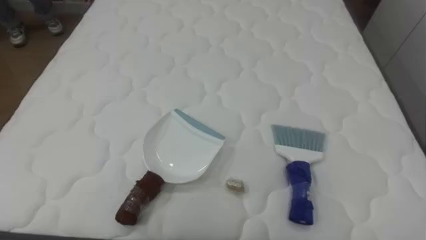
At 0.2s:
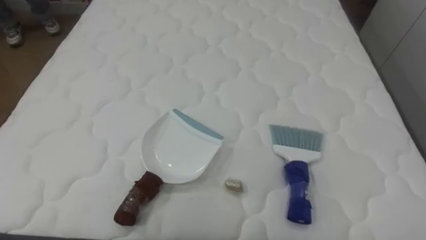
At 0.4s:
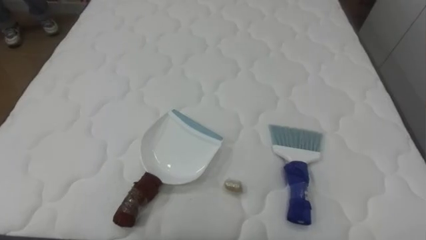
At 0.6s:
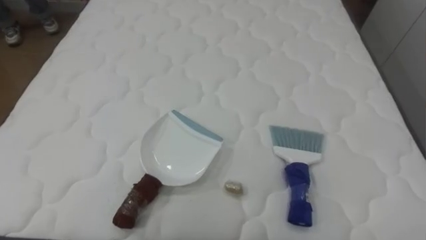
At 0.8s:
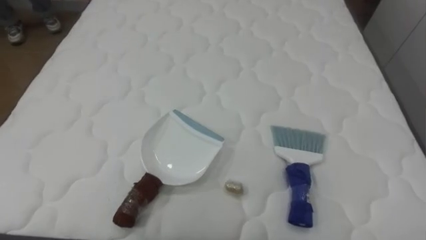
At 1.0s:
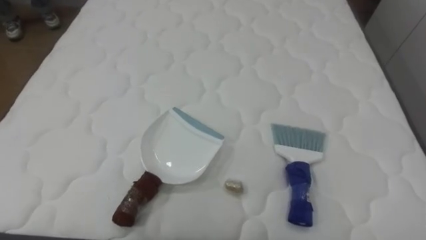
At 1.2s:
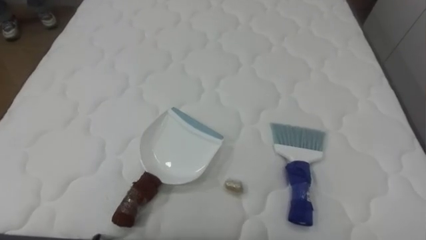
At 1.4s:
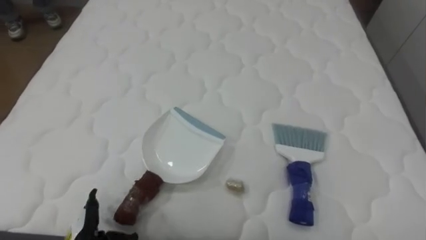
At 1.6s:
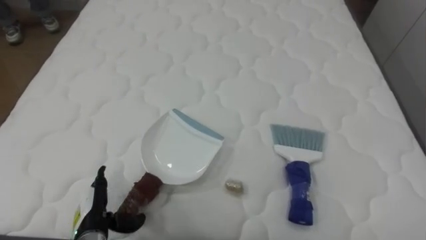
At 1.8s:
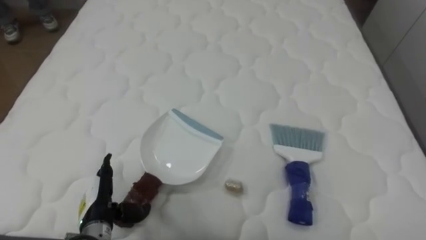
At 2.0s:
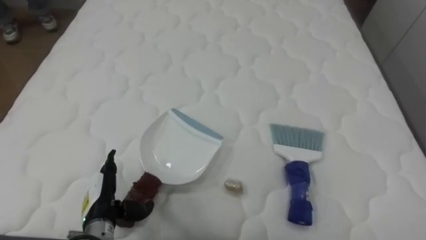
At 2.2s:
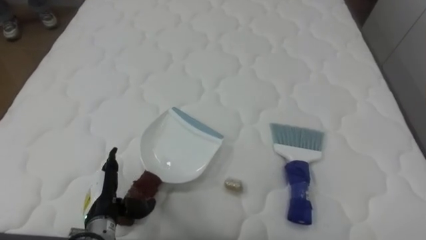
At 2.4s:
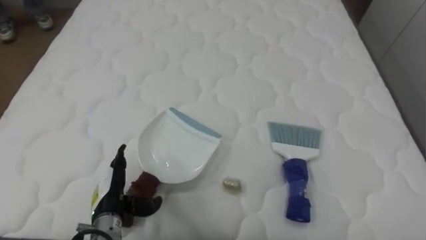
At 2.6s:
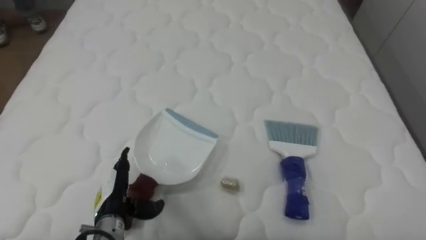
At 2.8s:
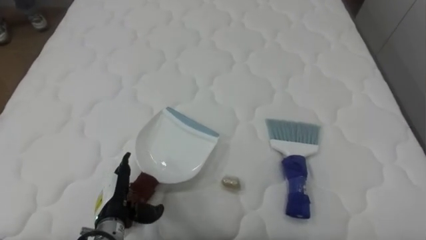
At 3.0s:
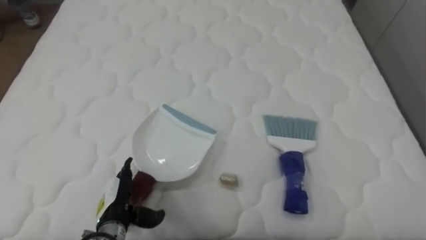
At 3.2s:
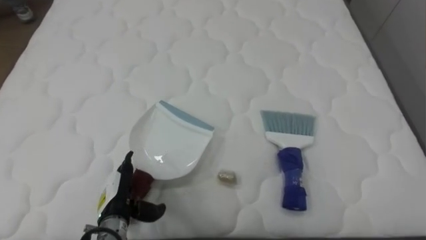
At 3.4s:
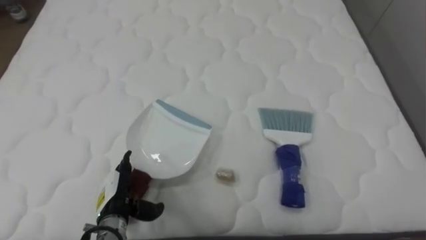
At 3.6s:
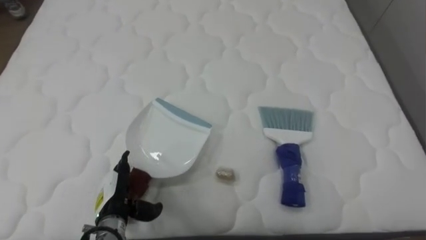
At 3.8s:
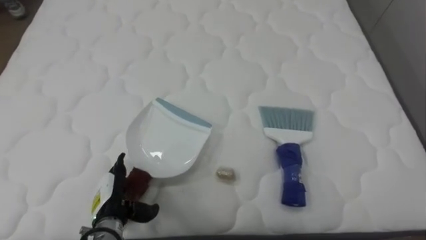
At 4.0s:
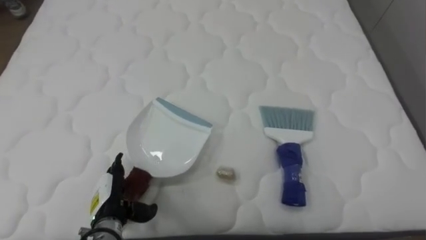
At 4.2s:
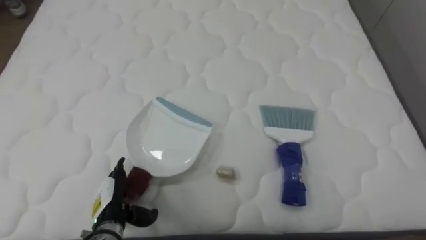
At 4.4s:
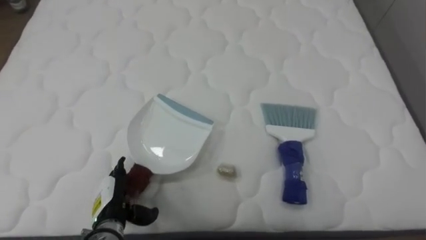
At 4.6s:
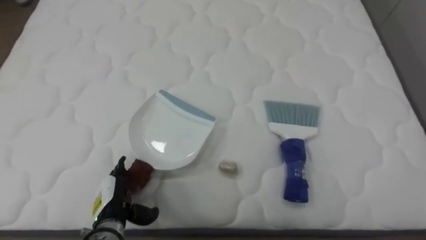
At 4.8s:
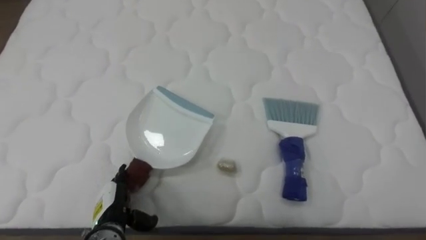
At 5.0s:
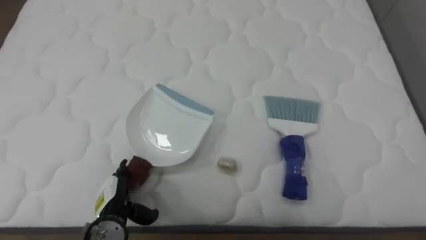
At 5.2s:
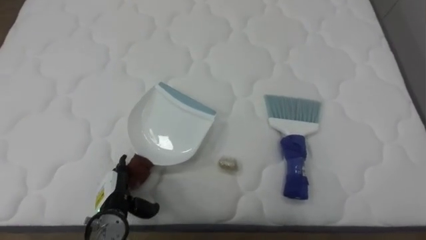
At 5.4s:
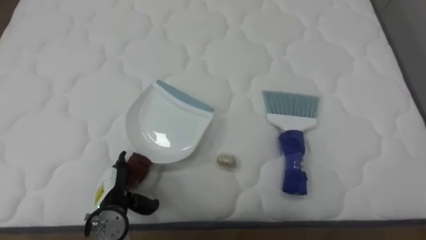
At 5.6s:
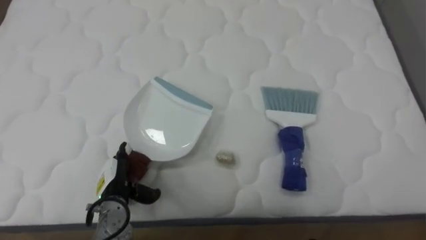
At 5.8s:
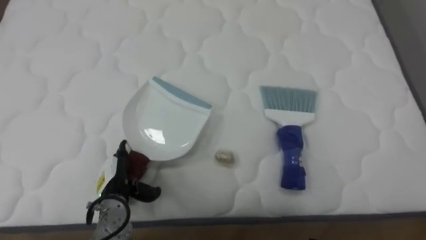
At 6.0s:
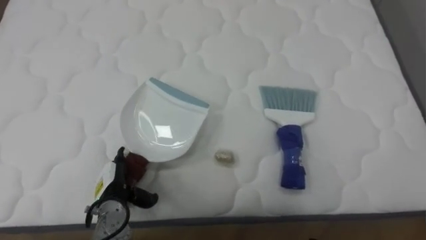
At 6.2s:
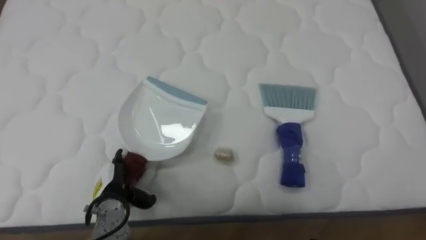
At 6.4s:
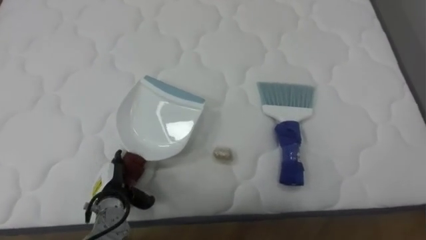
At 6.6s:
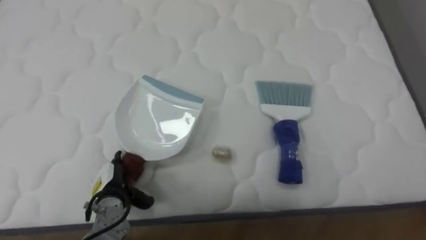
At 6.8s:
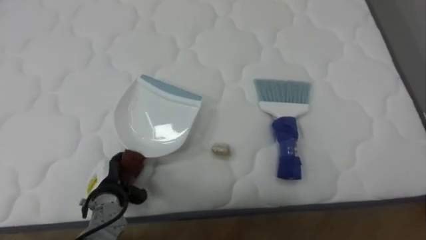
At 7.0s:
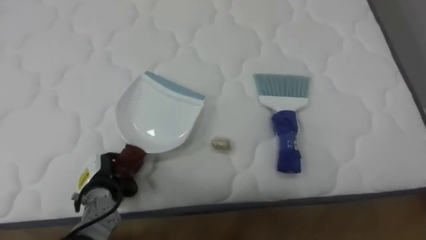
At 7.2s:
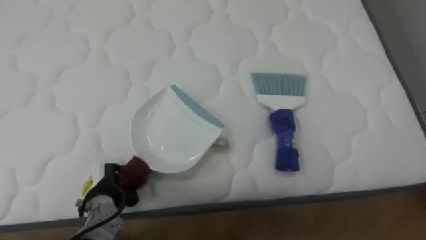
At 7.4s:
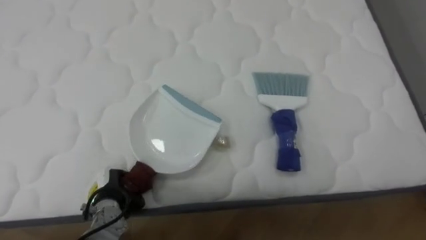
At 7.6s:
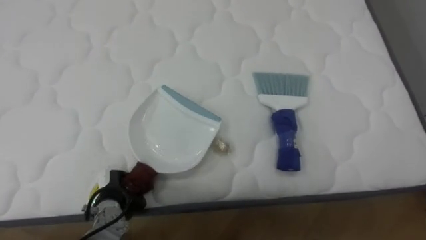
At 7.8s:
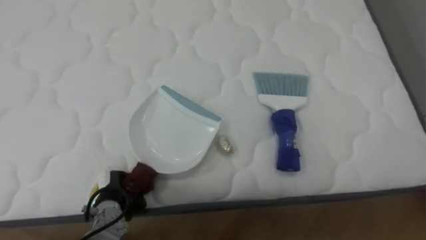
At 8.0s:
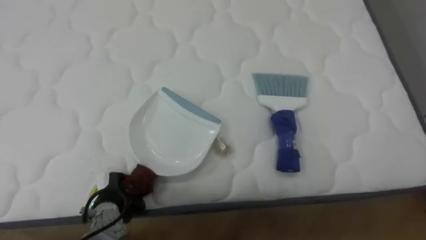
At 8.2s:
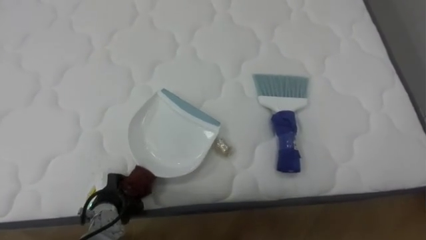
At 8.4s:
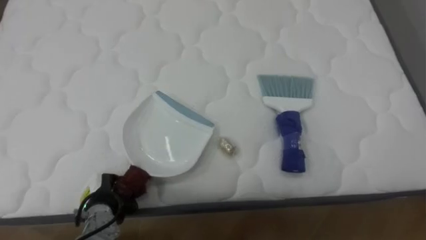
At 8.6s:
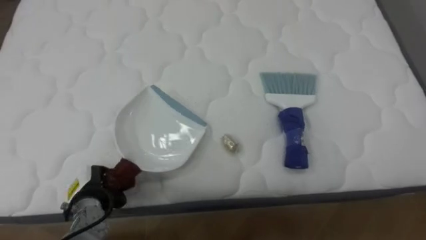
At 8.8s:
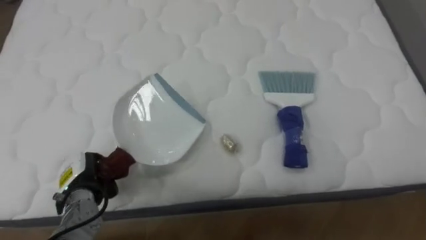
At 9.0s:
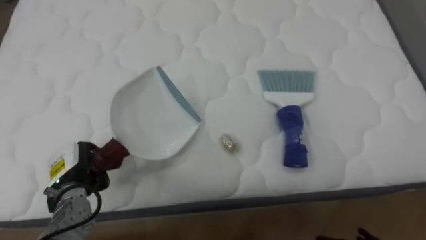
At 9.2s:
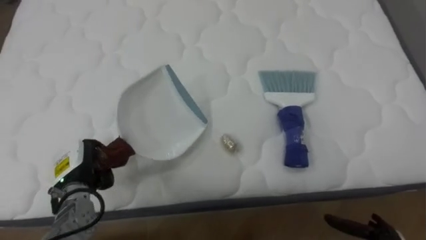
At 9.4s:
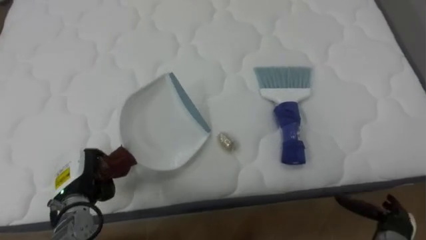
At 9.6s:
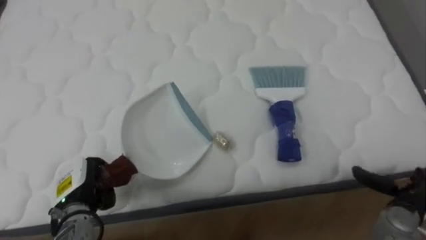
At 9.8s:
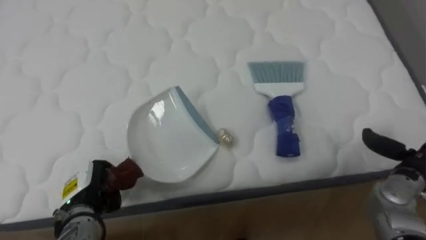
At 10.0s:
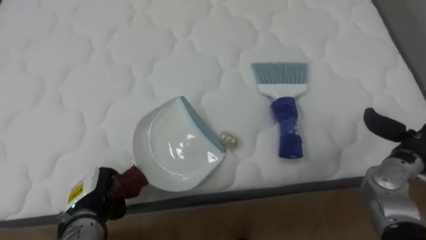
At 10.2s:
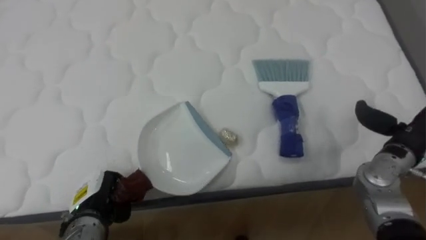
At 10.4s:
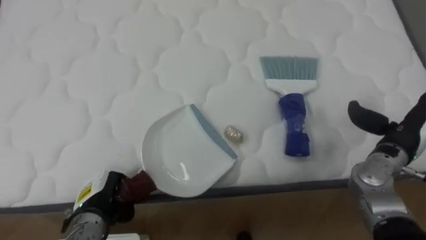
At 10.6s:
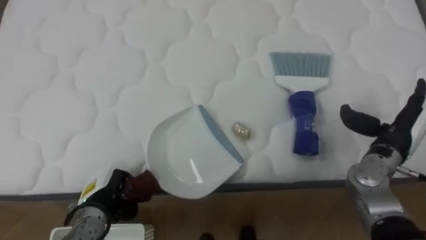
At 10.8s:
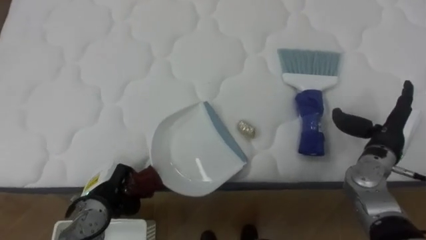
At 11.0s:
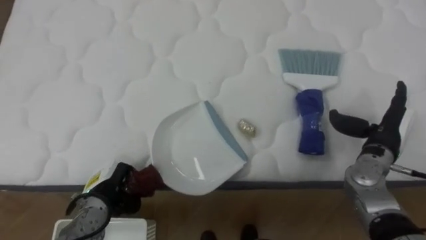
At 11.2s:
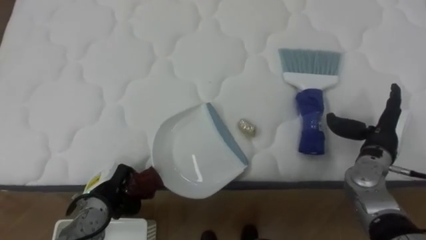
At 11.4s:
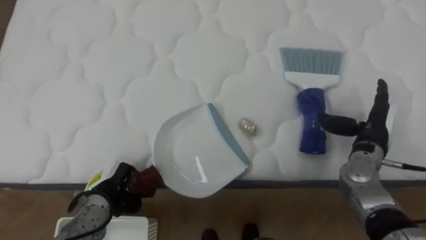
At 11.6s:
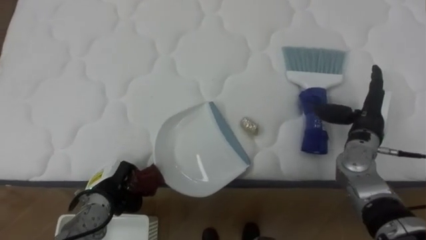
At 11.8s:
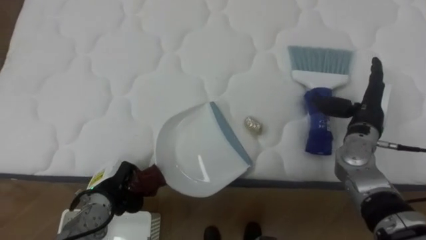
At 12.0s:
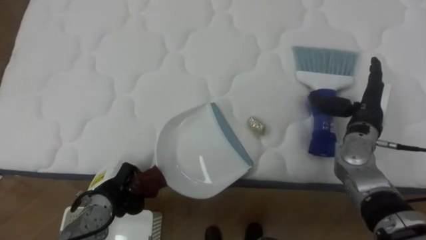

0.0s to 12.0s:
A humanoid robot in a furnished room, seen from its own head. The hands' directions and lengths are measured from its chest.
Task of the whole recording: Pick up the brush on your right and the dustpan on your left. Use the brush to sweep the crumpled paper on the bed into the dustpan, then turn left and empty it into the basket.
6.0s to 7.6s: The left hand closes its fingers.
7.6s to 9.0s: The left hand heads to the left and upward, covering some 10 cm.
9.0s to 10.4s: The left hand moves roughly 5 cm.
10.4s to 12.0s: The right hand heads forward and to the left, covering approximately 10 cm.

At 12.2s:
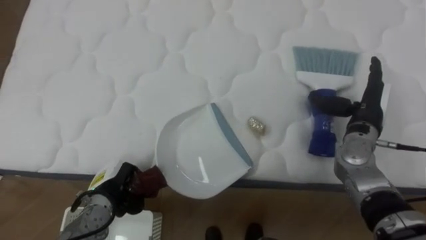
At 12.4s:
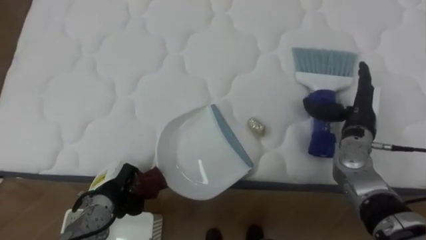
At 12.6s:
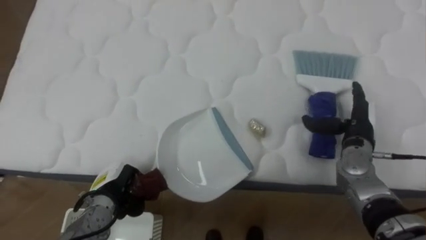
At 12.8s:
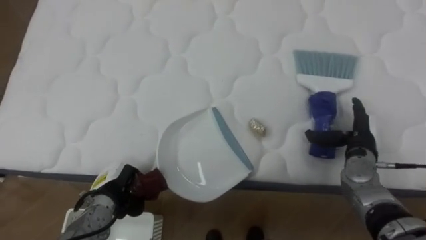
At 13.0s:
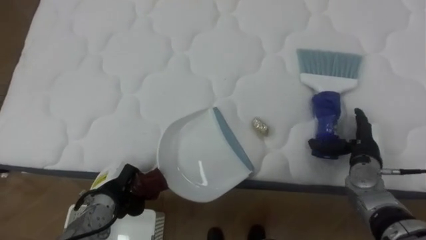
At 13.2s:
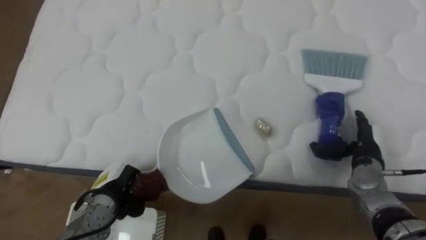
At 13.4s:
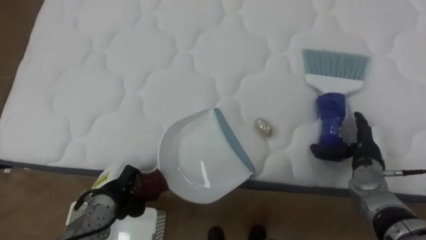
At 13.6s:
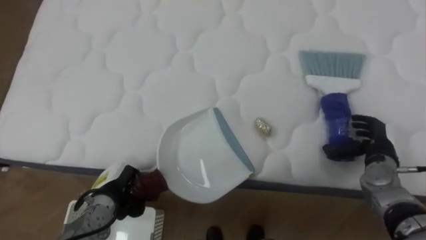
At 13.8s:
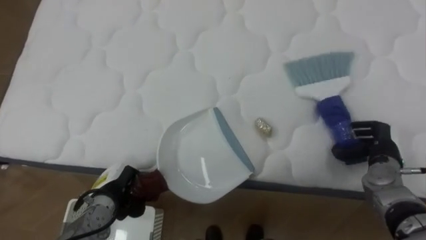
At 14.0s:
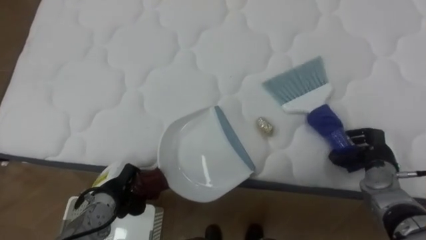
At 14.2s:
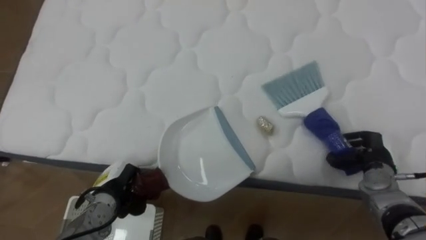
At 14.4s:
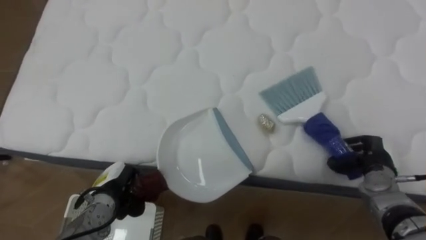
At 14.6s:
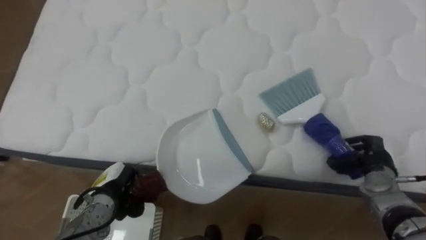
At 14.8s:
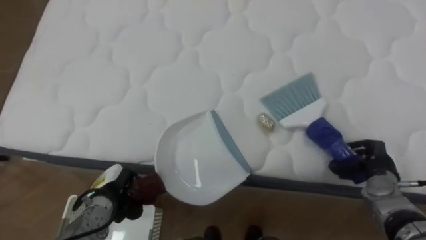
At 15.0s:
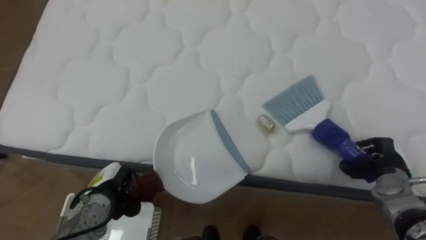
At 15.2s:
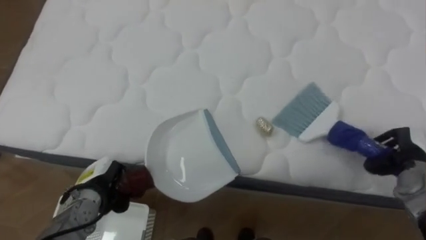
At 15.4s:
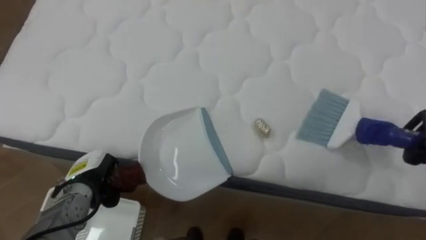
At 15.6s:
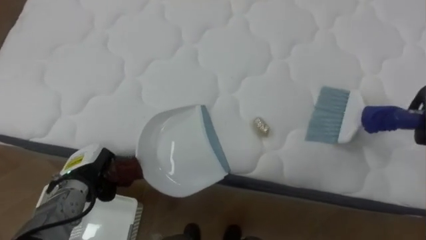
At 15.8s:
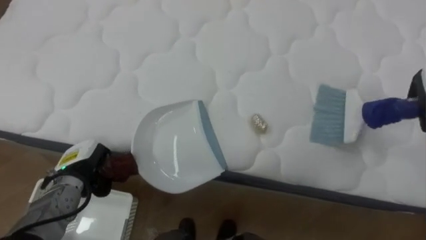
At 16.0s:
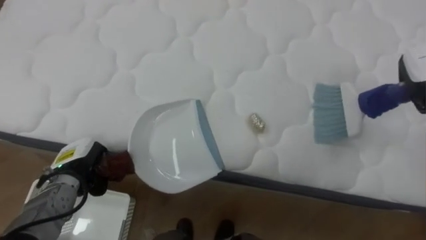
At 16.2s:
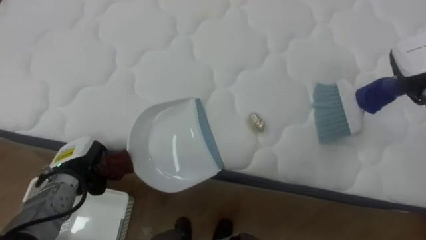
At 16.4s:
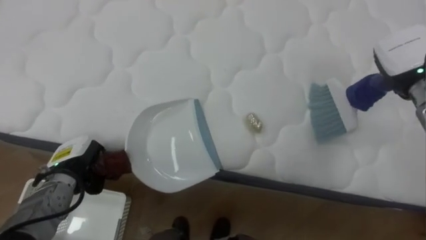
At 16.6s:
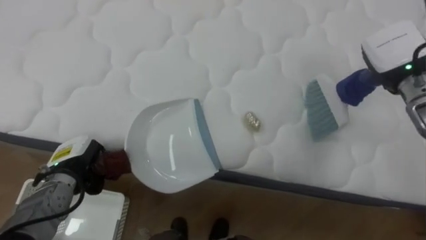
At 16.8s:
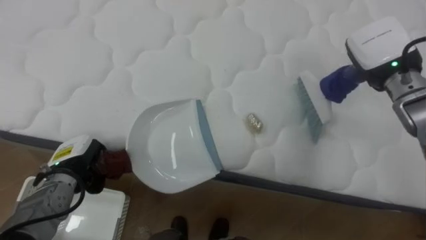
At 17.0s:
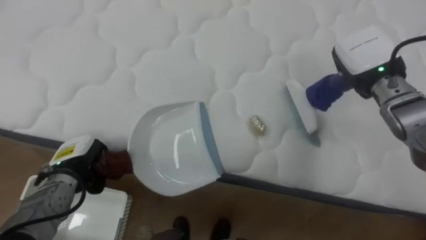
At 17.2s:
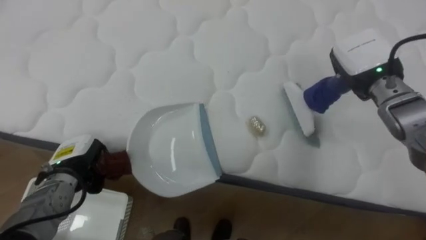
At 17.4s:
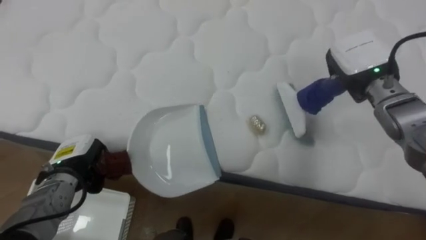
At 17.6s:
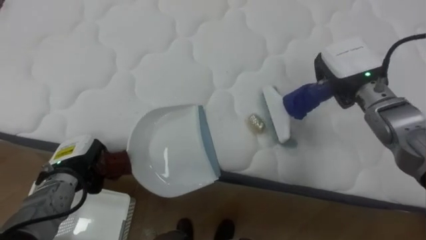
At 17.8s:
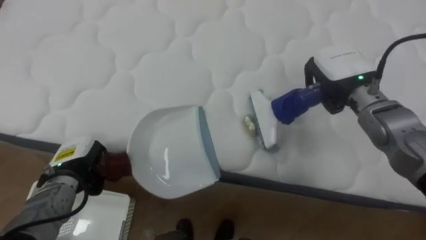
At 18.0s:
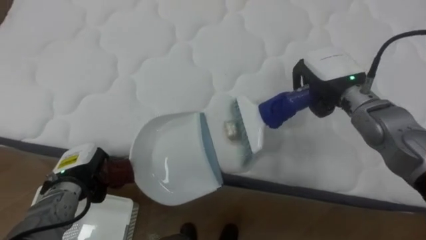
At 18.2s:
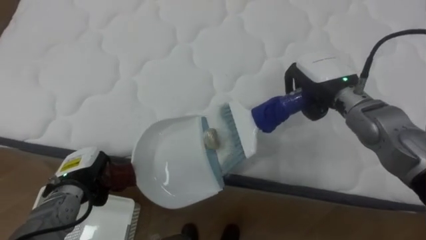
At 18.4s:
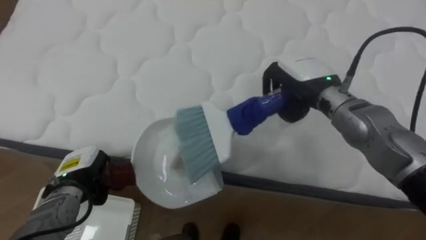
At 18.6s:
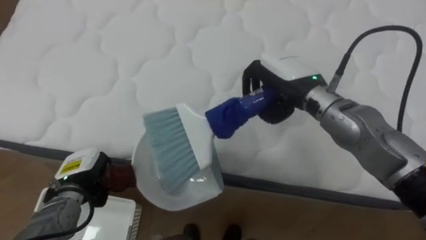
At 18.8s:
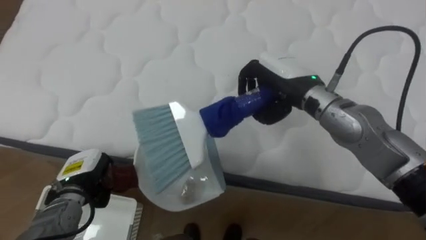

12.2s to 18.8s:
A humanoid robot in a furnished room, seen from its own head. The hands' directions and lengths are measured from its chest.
Task of the whole recording: Pick up the brush on your right and the dustpan on your left. Use the brush to sweep the crumpled paper on the bed into the dustpan, then turn left and empty it into the basket.
12.2s to 13.8s: The right hand travels downward by approximately 10 cm, and closes its fingers.
13.8s to 15.4s: The left hand moves approximately 5 cm.
17.2s to 18.8s: The right hand goes about 15 cm to the left.
